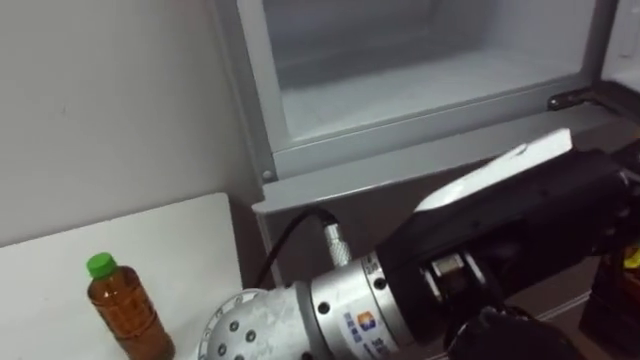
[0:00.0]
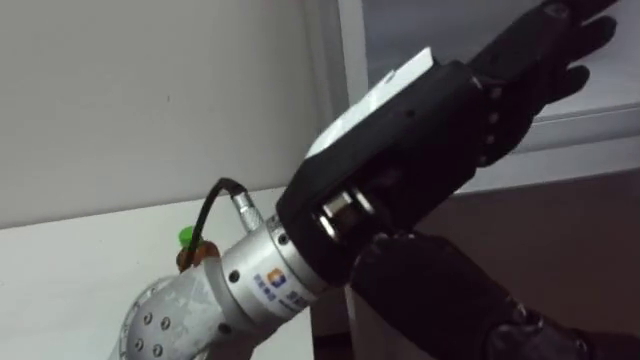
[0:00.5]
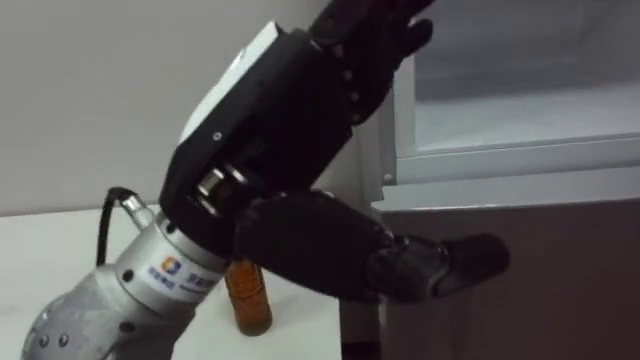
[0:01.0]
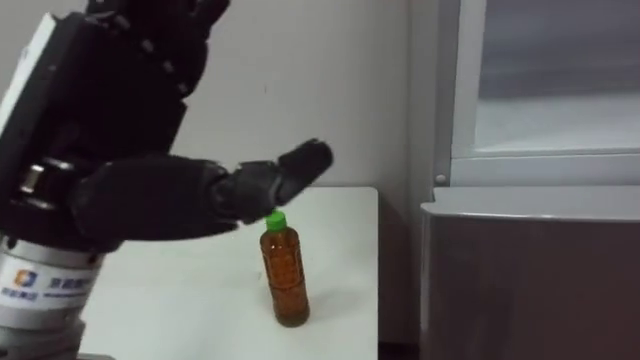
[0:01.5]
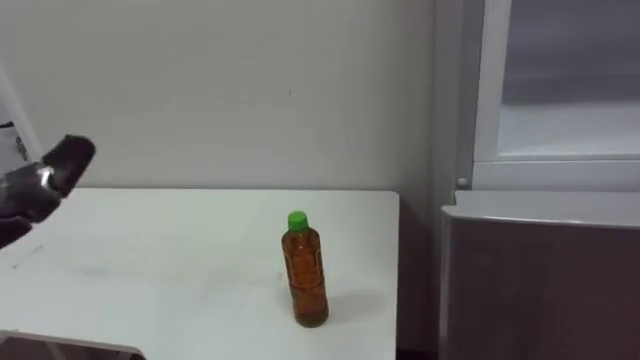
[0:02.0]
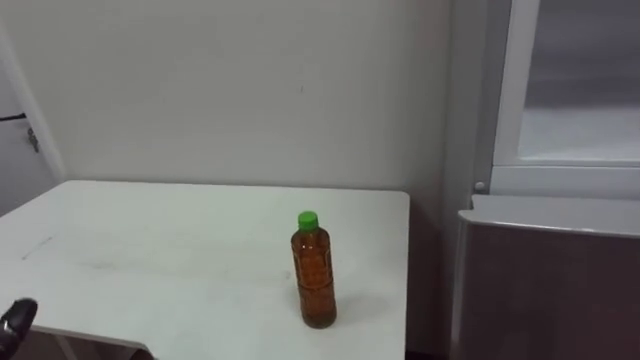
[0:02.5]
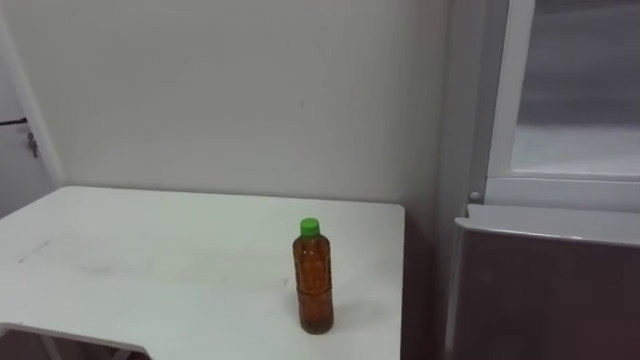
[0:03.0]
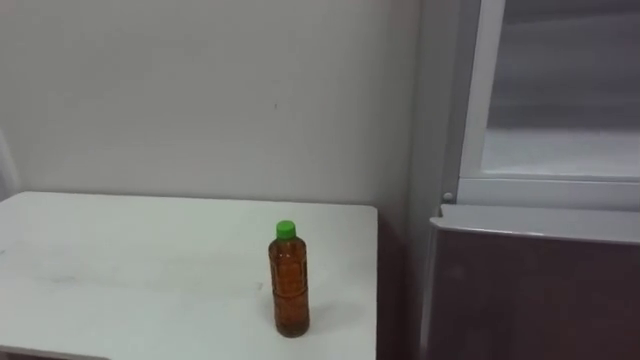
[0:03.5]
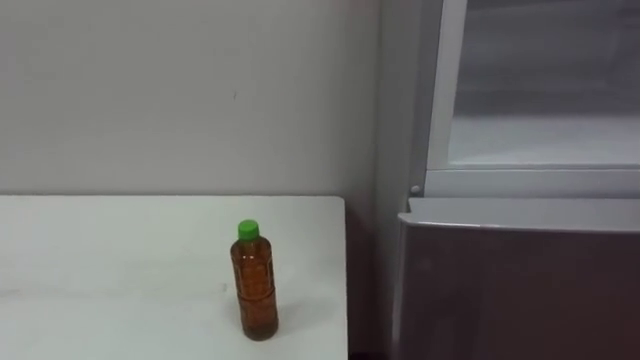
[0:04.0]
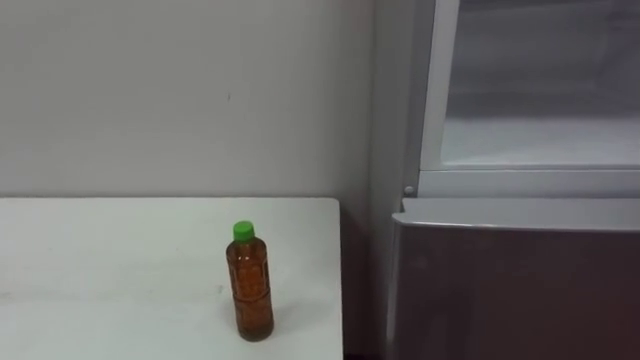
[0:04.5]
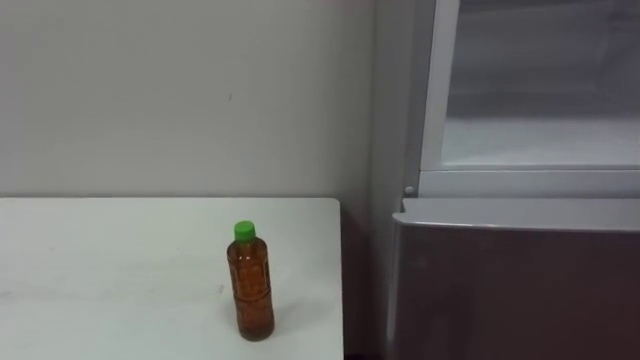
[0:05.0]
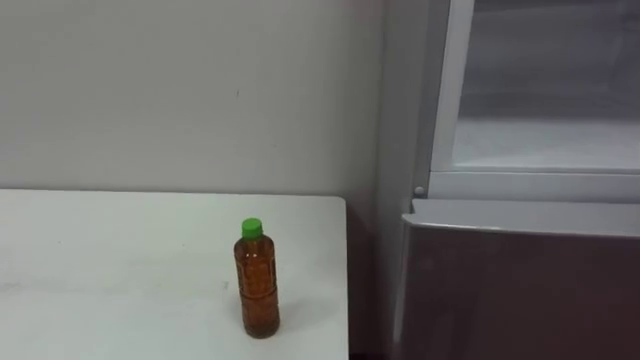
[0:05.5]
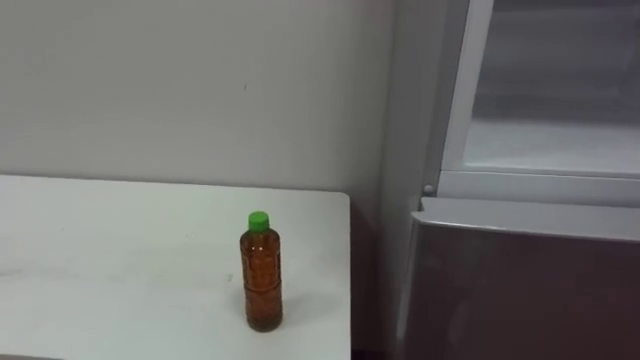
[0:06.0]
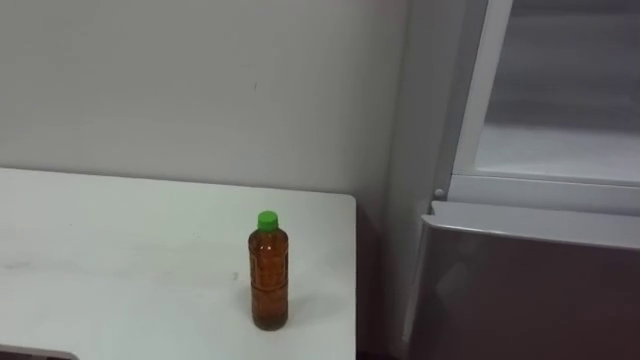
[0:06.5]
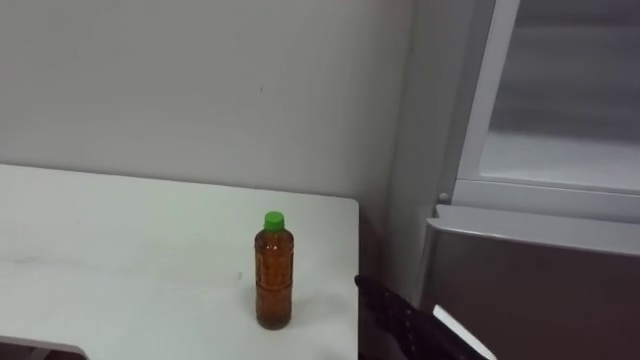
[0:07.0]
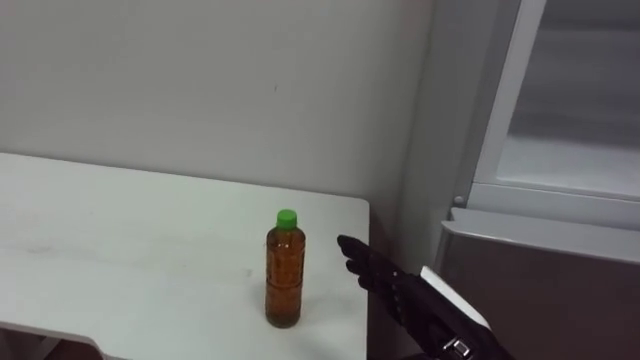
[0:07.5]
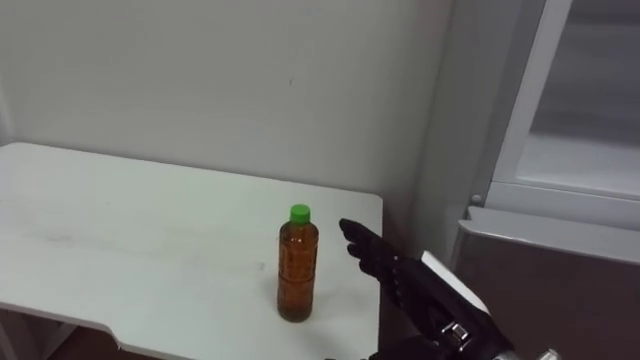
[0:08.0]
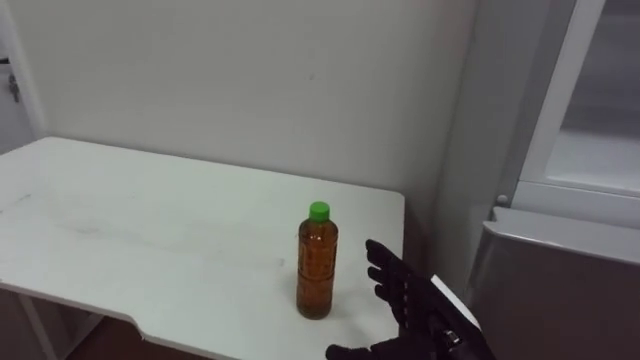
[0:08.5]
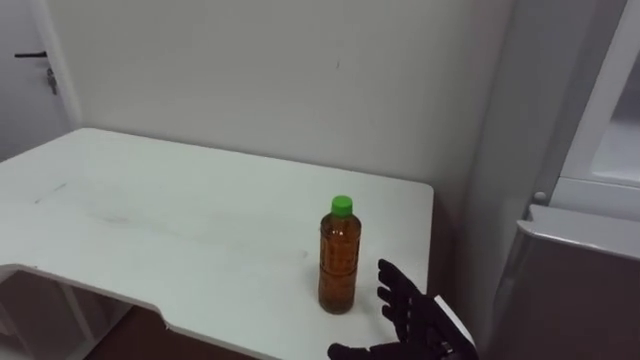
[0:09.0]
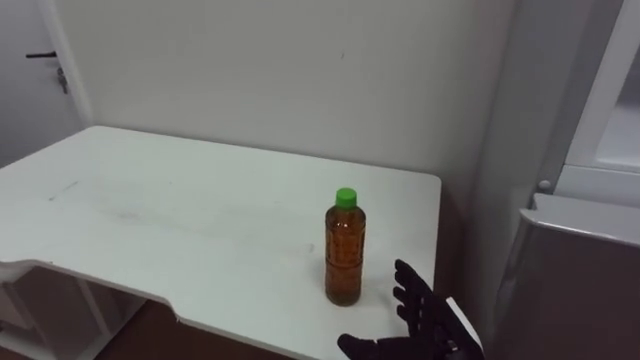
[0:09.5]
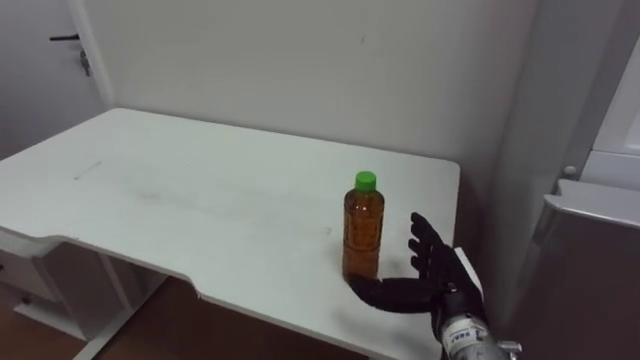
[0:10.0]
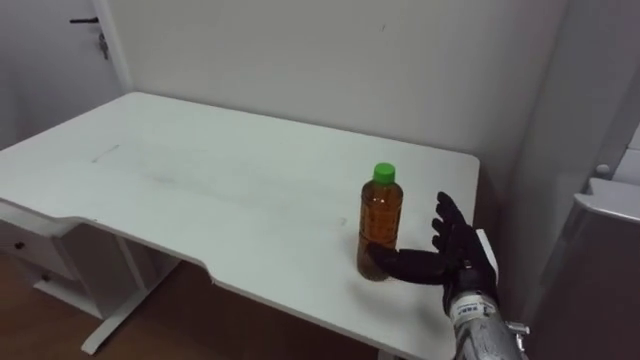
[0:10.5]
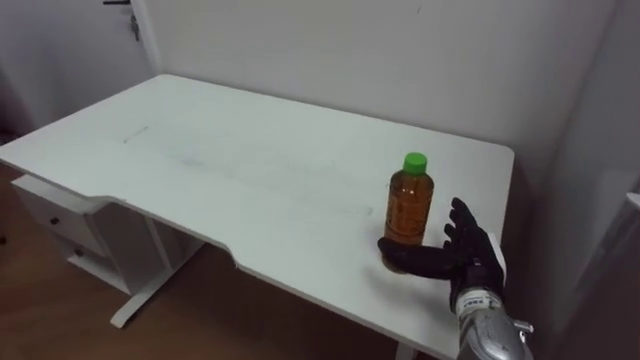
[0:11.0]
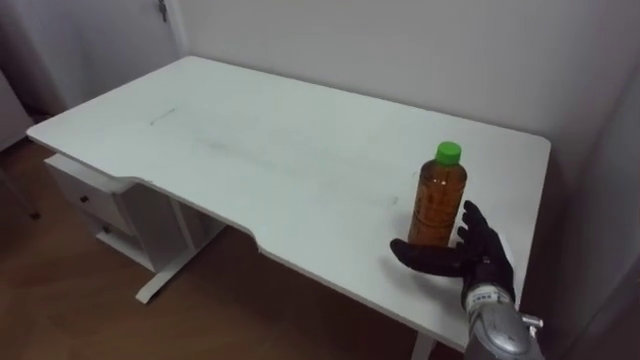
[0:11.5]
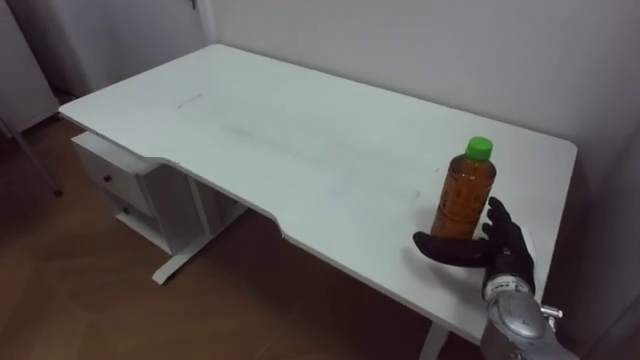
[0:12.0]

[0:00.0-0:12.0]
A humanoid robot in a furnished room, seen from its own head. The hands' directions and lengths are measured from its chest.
Task of the whole recording: Open the upper refrigerator door, put the drink from the table into the refrigerator, and then close the refrigerator door.
0:08.0 to 0:10.0: The right hand travels forward and downward by approximately 10 cm.
0:10.0 to 0:12.0: The right hand travels to the right by about 10 cm.

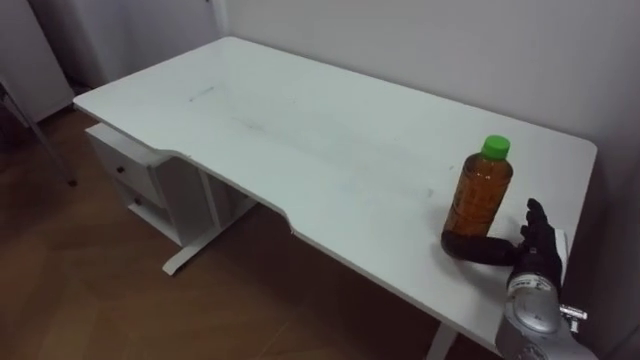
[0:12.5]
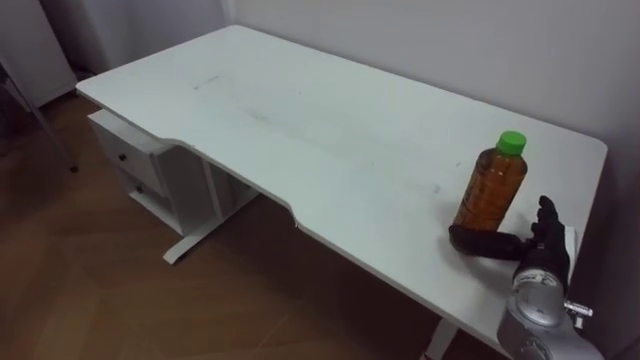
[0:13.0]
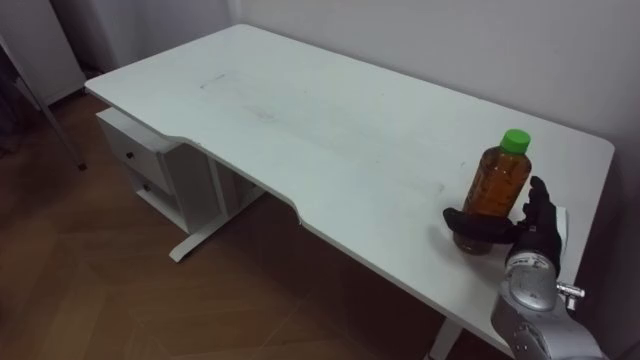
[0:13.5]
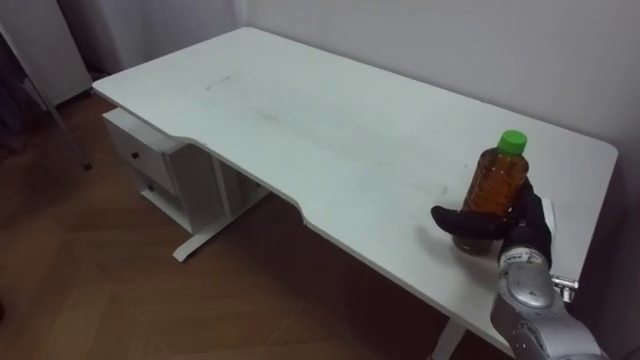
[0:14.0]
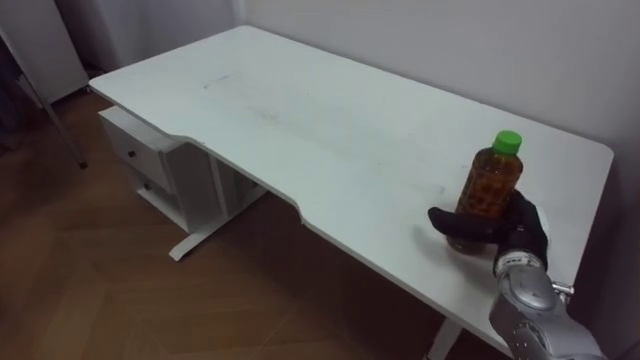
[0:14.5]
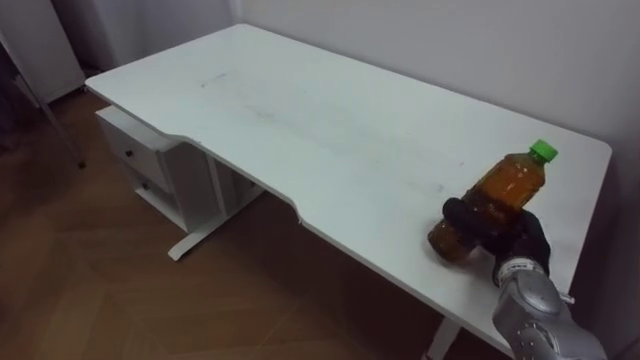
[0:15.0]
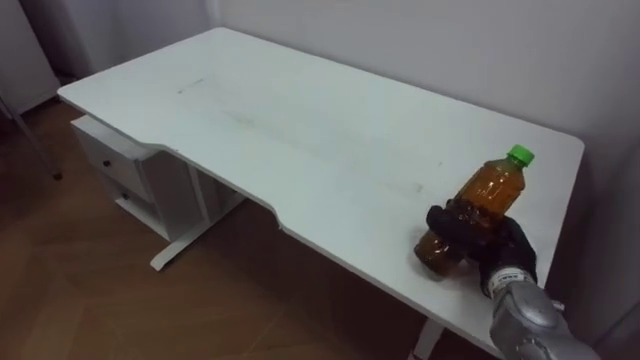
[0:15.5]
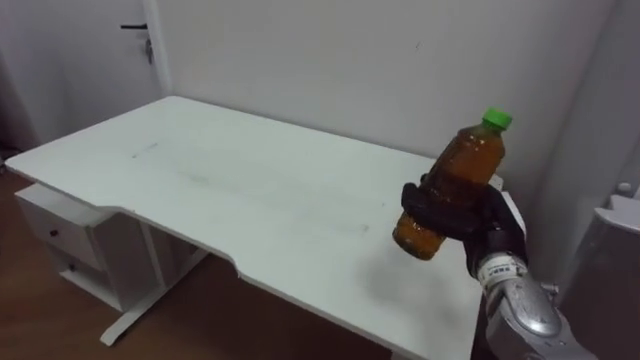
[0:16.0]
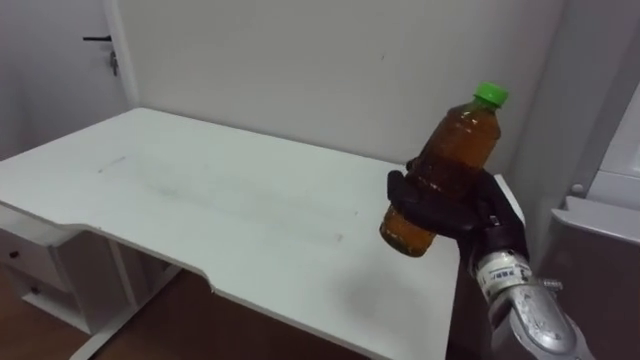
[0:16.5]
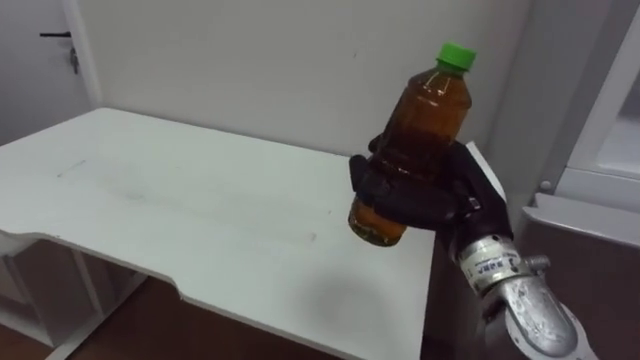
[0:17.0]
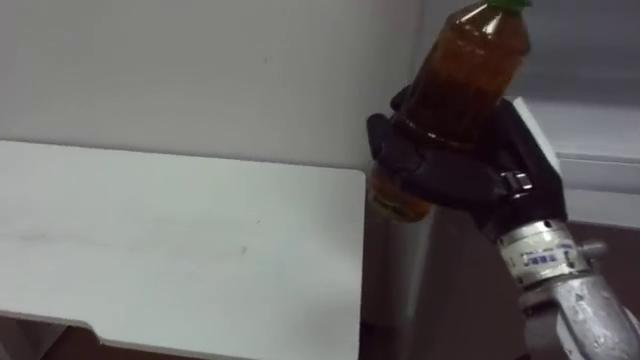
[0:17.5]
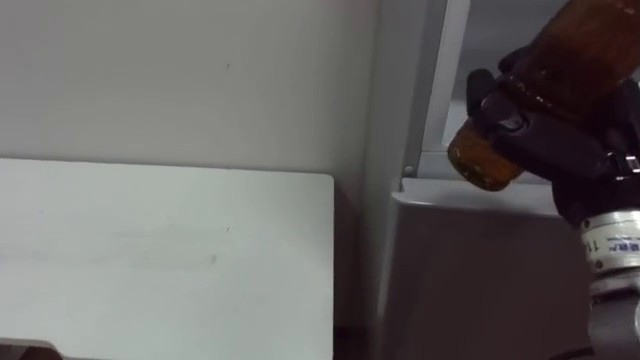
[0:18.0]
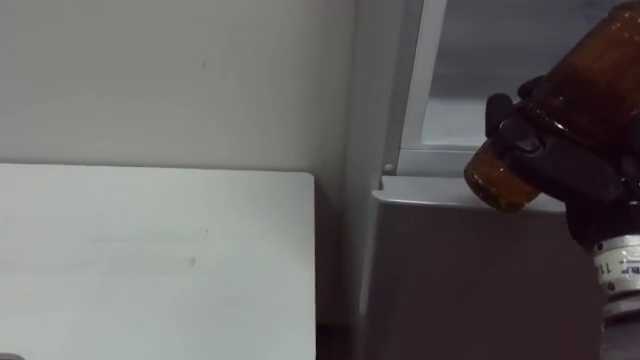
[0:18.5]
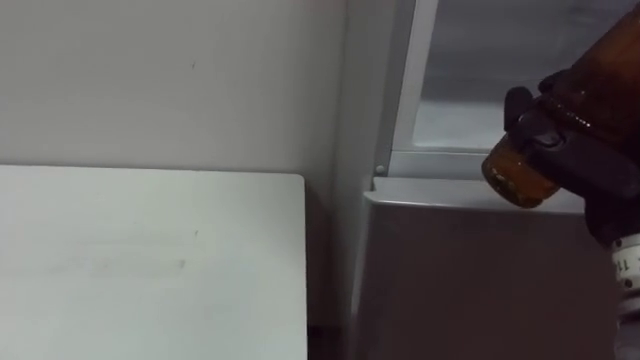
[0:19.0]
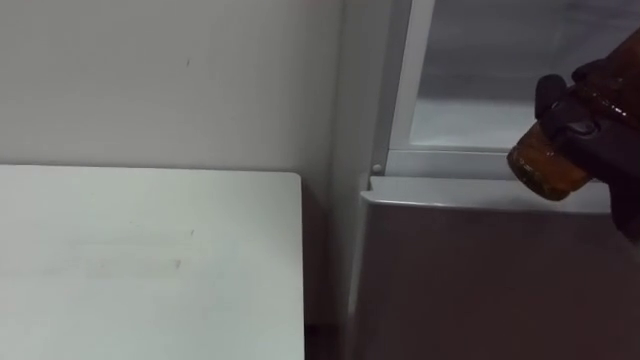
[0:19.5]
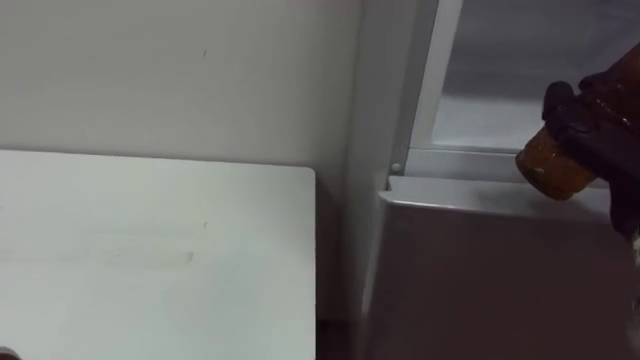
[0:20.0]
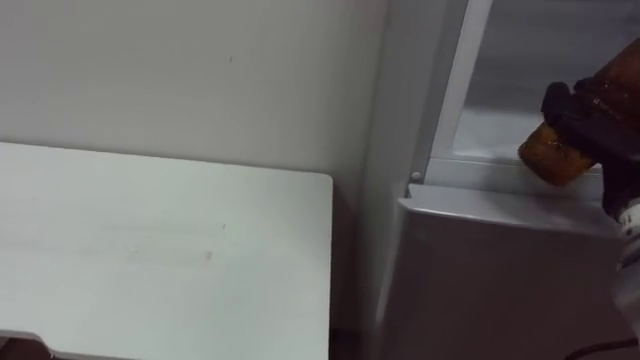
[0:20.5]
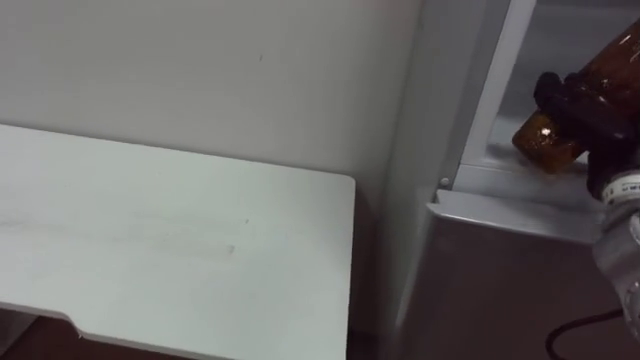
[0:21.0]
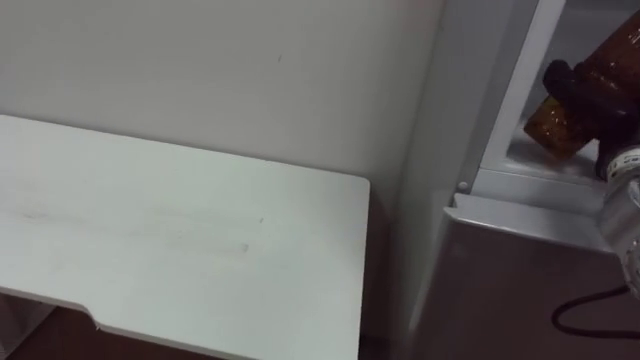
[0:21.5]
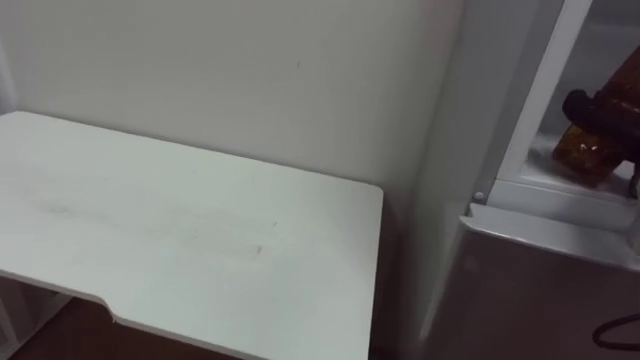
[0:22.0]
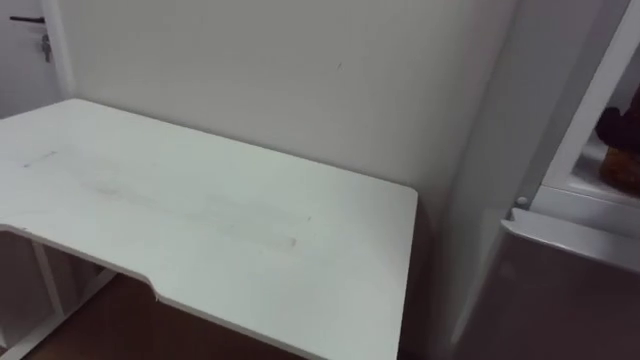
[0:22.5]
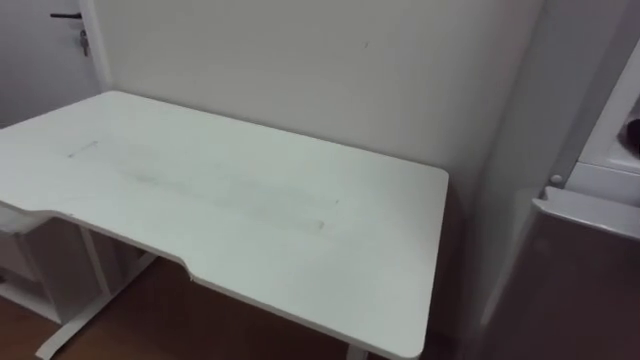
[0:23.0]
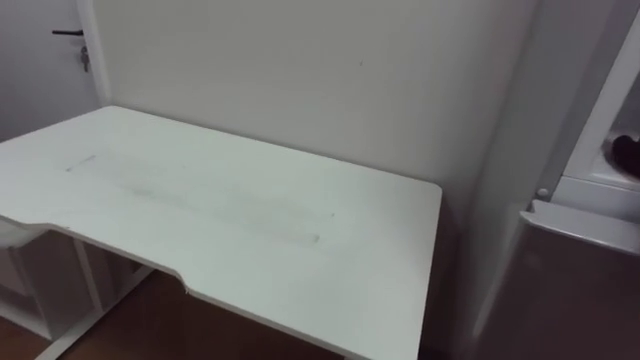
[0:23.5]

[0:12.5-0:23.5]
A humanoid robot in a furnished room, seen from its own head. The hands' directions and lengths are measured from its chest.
Task of the whole recording: Open the upper refrigerator door, put the drink from the table into the refrigerator, and then close the refrigerator door.
0:14.5 to 0:16.0: The right hand moves approximately 5 cm, and closes its fingers.
0:16.0 to 0:18.0: The right hand goes some 20 cm upward and backward.
